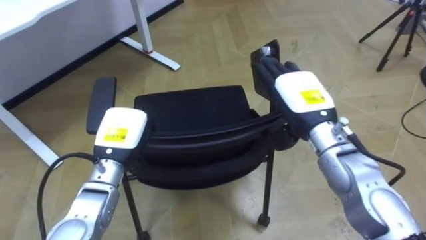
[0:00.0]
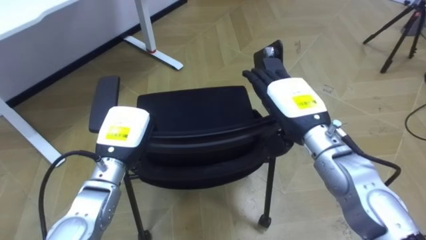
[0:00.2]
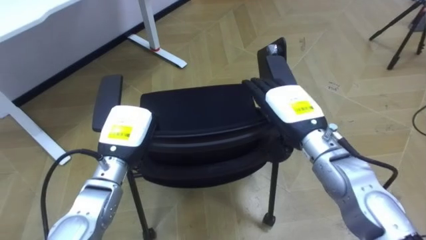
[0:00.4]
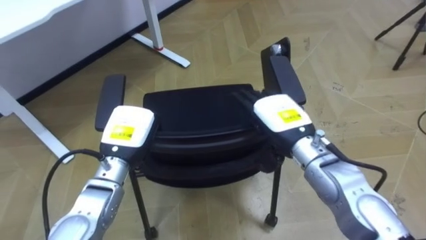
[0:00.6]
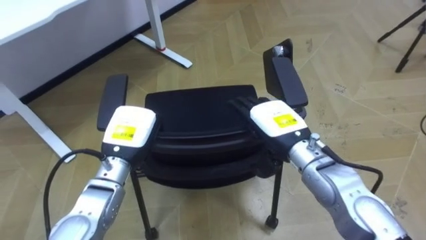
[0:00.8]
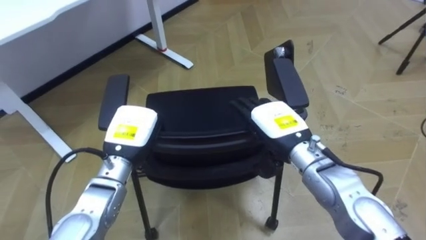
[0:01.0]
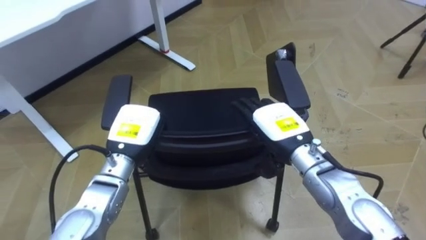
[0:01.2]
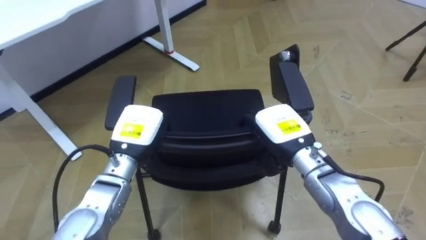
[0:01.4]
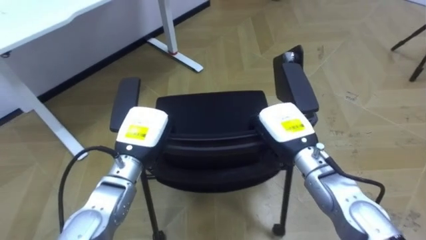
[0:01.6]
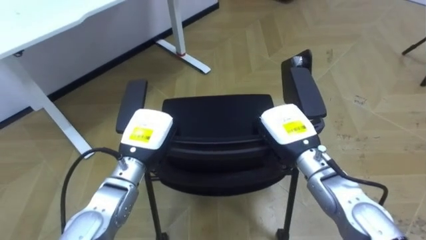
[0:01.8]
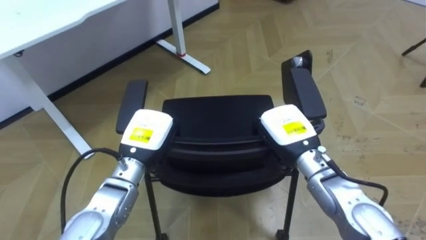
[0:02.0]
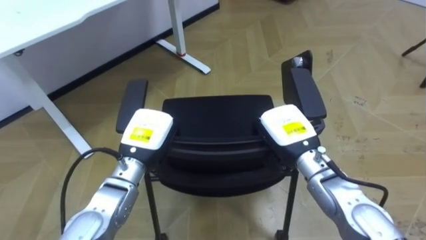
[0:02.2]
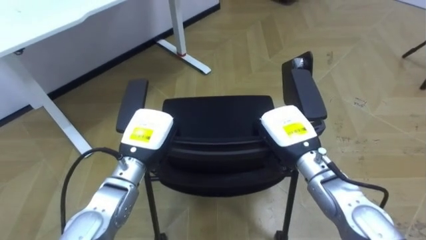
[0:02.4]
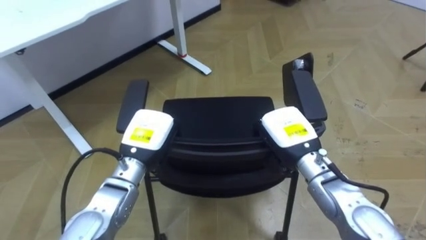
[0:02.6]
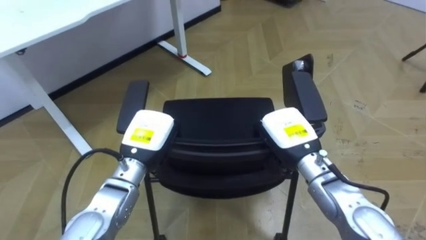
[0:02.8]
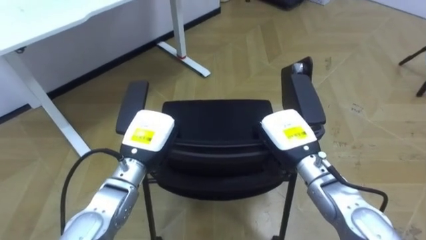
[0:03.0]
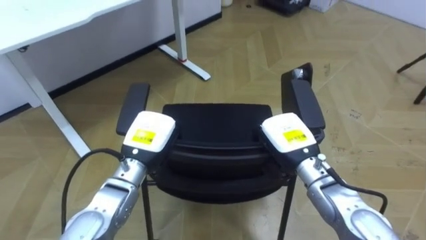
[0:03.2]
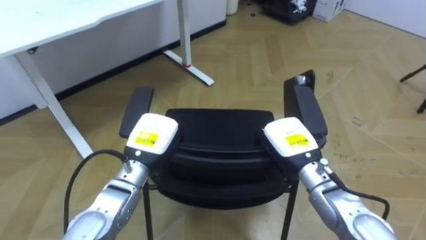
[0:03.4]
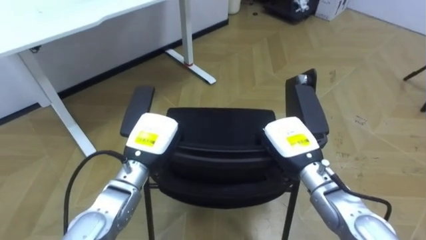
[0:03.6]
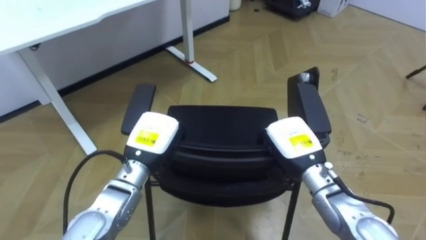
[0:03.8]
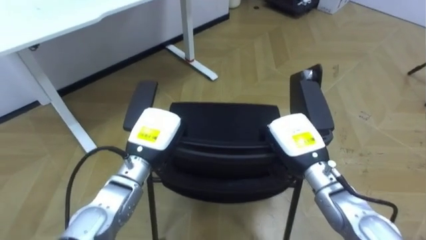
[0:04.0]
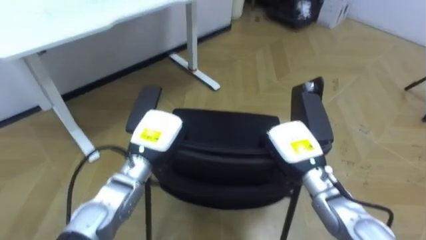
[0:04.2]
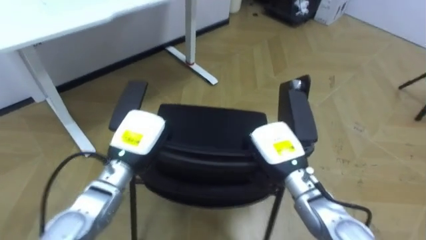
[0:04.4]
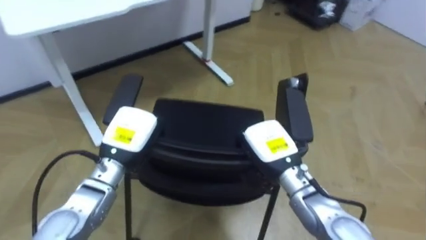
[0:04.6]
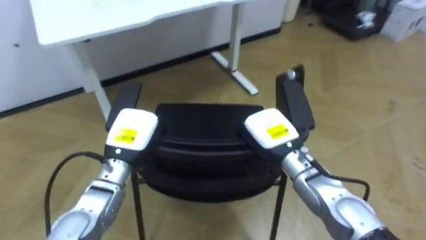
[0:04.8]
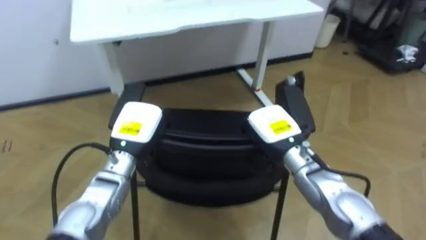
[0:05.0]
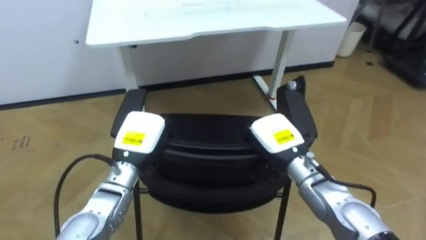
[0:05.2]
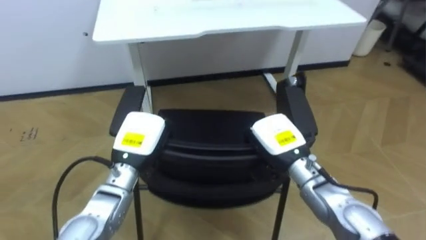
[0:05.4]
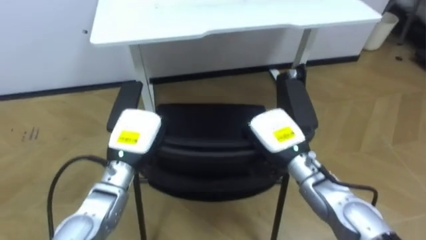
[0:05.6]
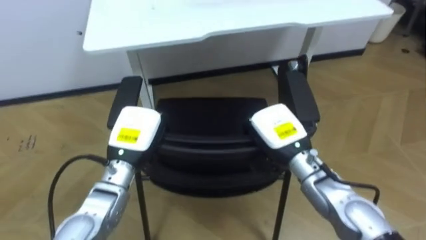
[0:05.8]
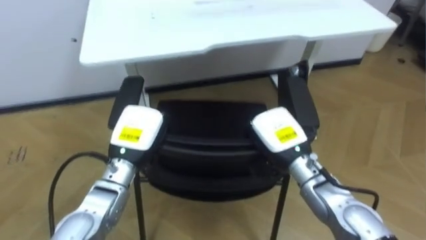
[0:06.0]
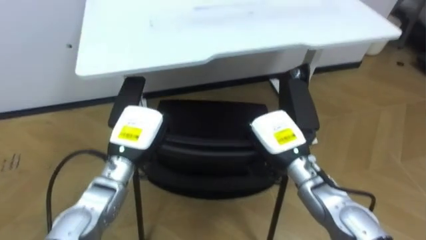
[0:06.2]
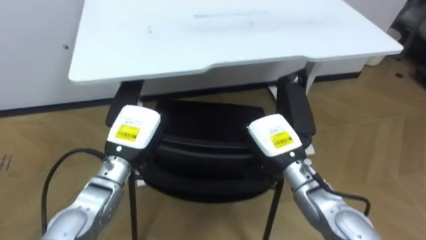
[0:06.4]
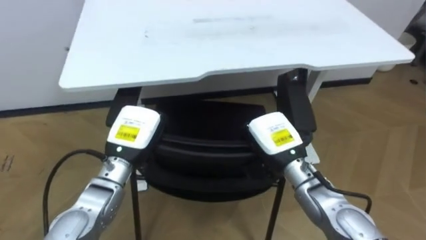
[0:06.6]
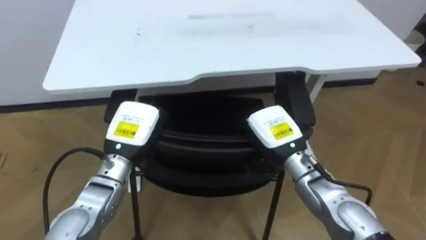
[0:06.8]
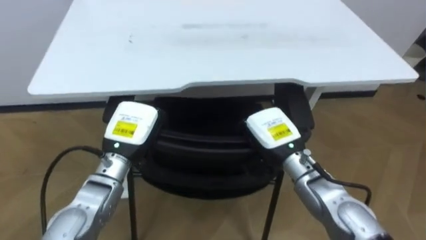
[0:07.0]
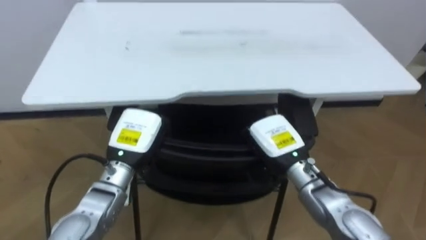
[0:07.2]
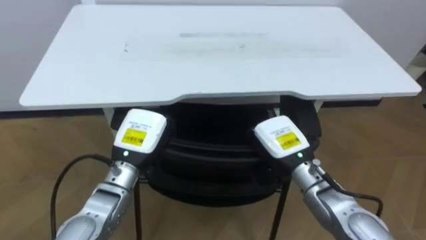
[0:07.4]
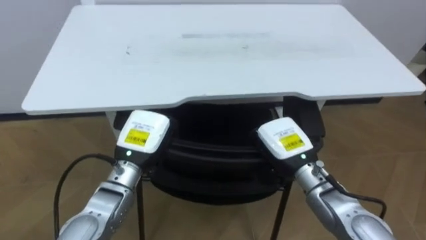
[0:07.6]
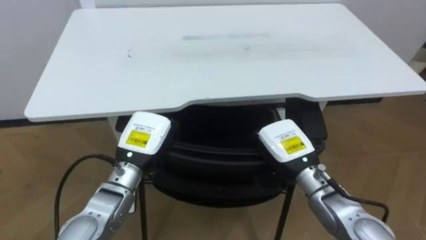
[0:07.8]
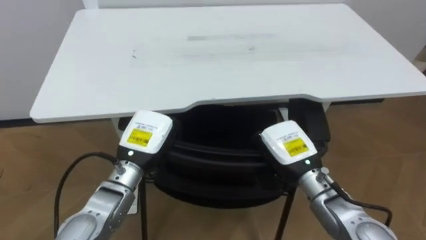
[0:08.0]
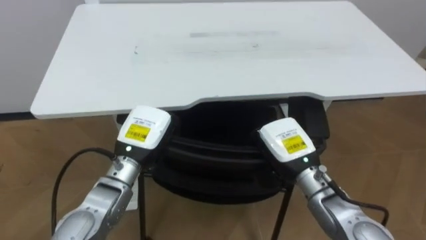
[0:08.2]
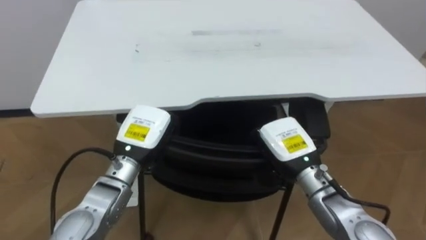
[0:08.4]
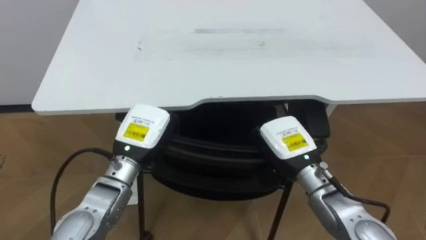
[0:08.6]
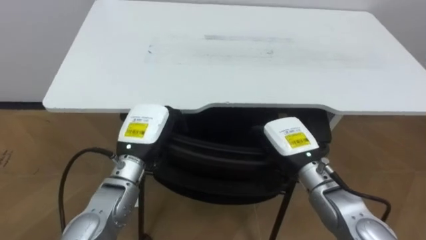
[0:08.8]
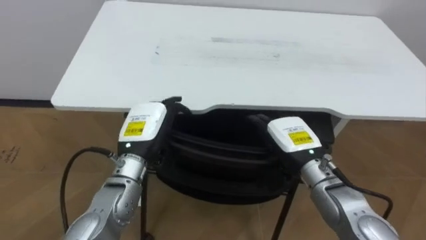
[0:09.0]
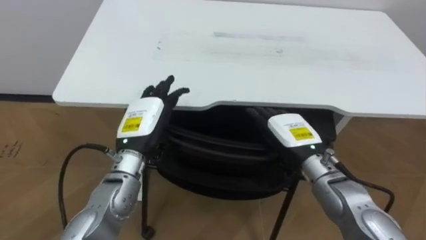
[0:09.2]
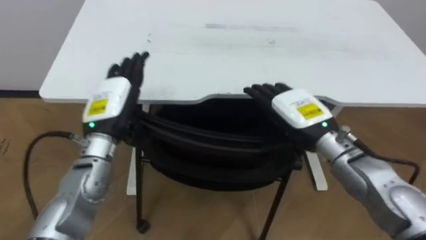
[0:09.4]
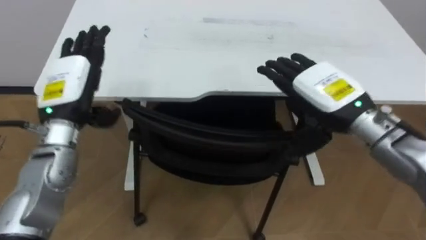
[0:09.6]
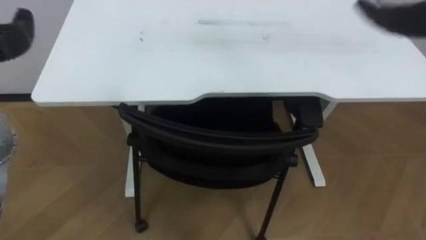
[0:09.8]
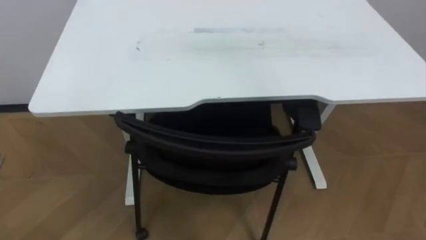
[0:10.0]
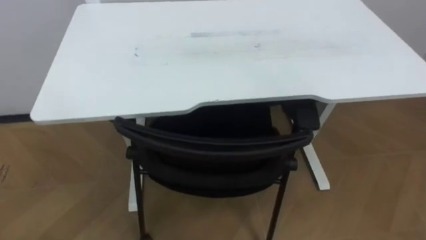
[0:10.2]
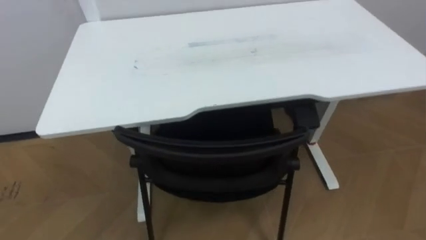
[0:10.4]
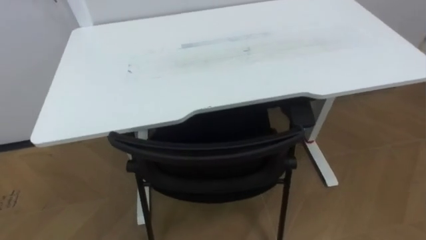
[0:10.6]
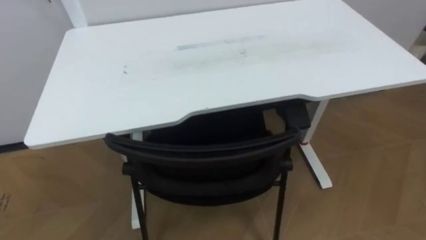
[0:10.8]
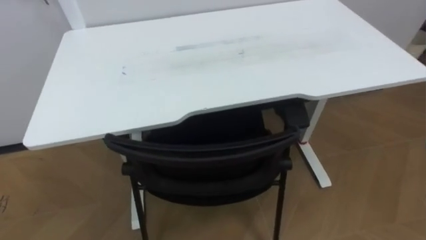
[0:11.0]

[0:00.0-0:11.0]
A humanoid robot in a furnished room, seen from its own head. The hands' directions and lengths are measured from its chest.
Task of the whole recording: Push the chair under the table.
0:00.0 to 0:01.6: The right hand heads downward, covering about 5 cm, and closes up.
0:07.8 to 0:09.4: The left hand heads upward and to the left, covering approximately 10 cm, and opens. Meanwhile the right hand is displaced upward by approximately 5 cm, and opens up.

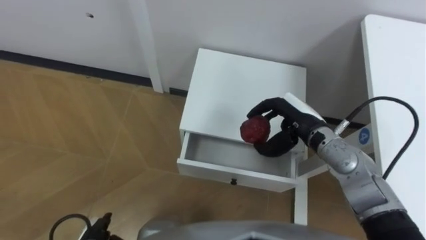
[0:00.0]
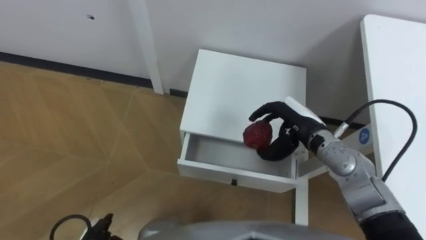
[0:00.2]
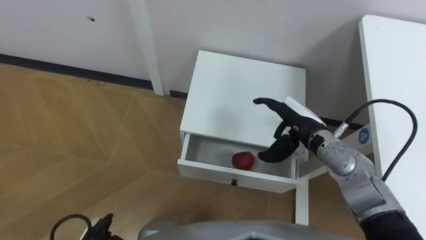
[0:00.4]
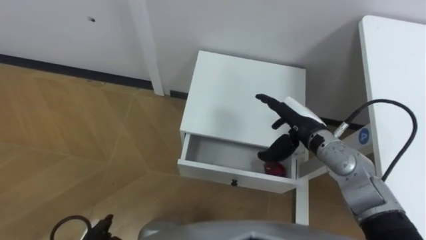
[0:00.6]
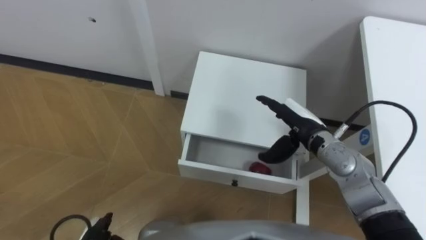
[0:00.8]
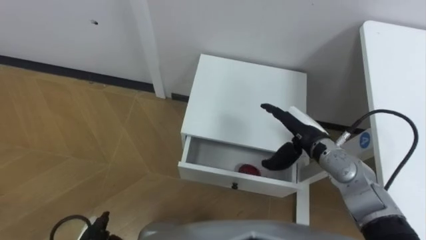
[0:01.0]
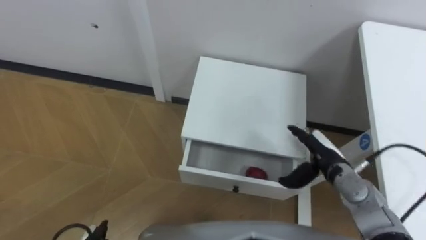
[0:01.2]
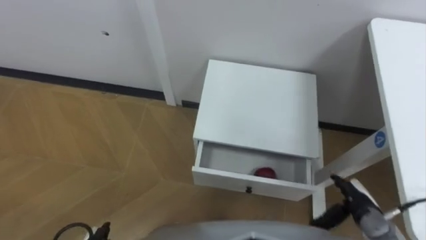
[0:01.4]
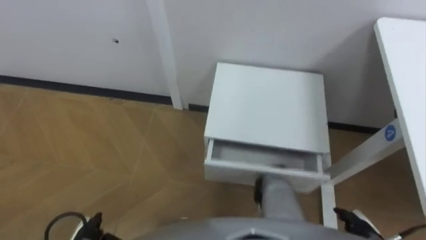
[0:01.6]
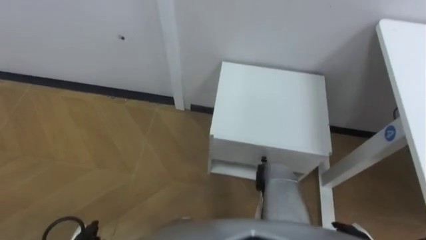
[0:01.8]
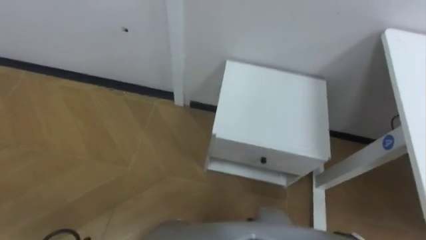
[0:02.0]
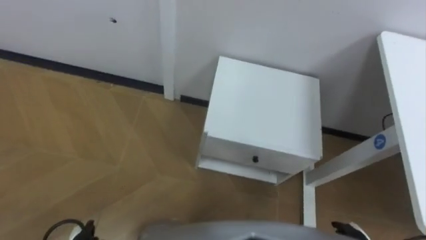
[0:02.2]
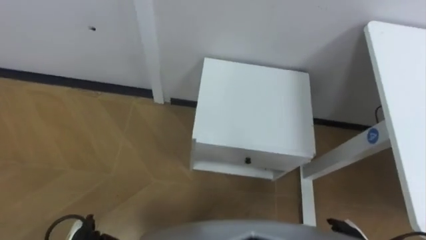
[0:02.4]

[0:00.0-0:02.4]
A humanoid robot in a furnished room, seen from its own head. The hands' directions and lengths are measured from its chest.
Task of the whole recording: Pick up the apple from the table, put it in the drawer, and close the drawer with leg.
0:00.0 to 0:01.2: The right hand is displaced downward, to the right and backward by about 10 cm, and opens its fingers.

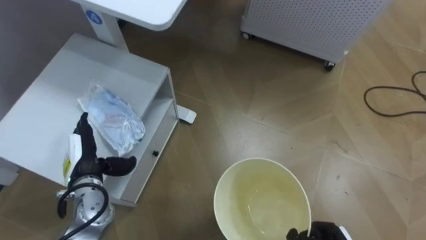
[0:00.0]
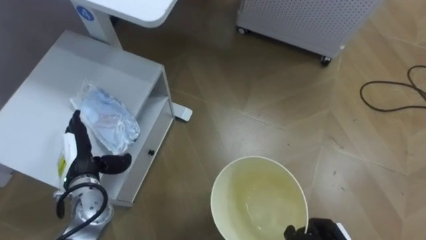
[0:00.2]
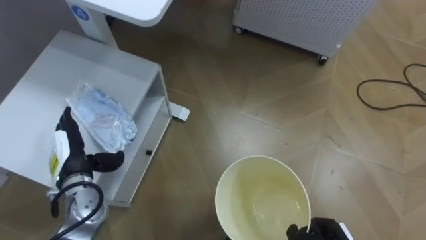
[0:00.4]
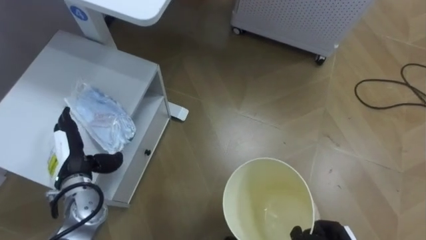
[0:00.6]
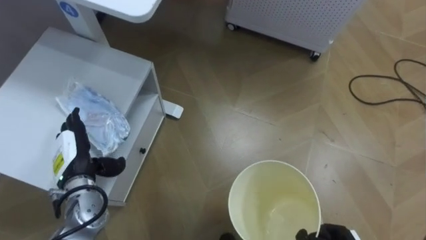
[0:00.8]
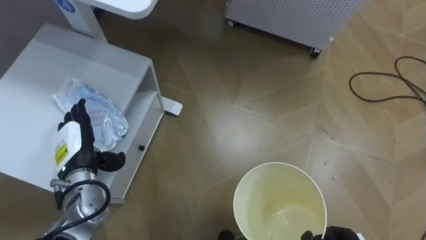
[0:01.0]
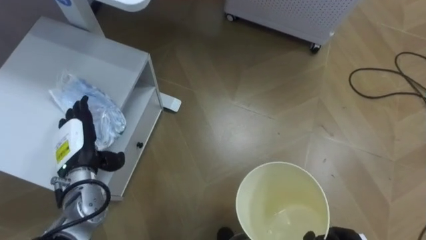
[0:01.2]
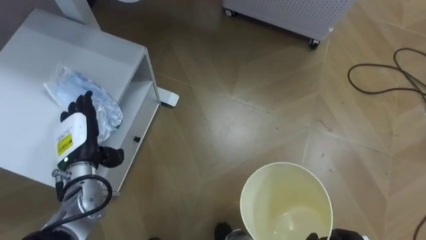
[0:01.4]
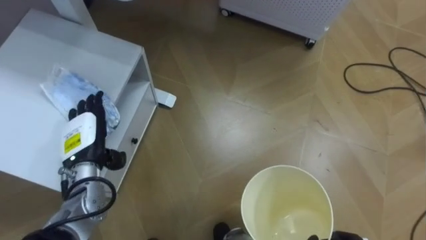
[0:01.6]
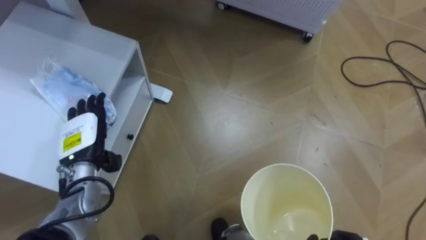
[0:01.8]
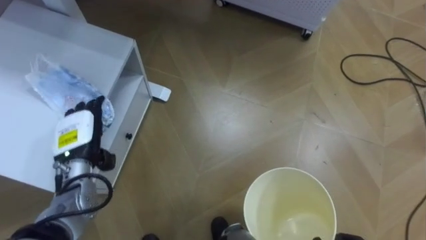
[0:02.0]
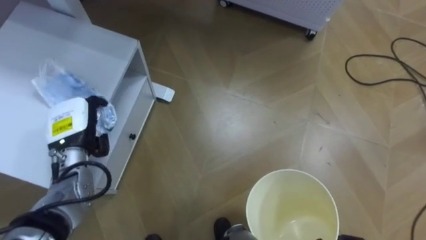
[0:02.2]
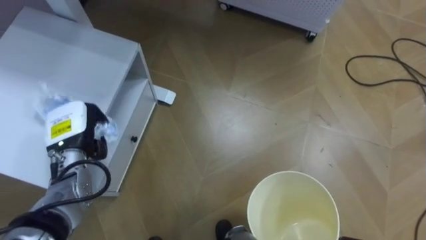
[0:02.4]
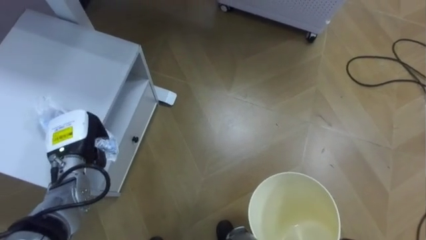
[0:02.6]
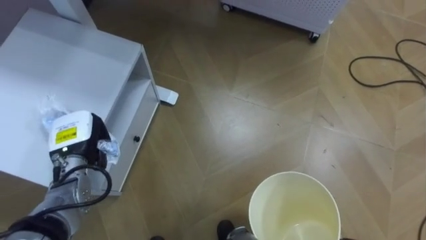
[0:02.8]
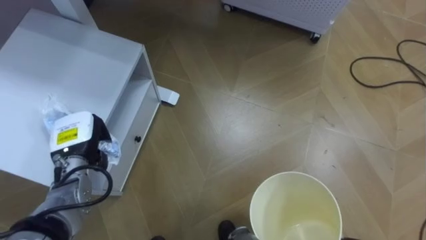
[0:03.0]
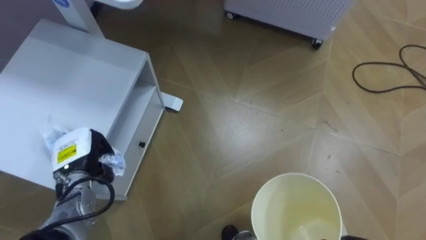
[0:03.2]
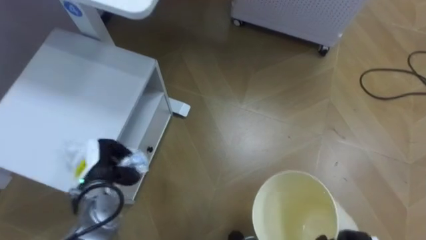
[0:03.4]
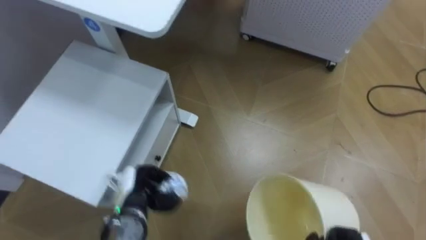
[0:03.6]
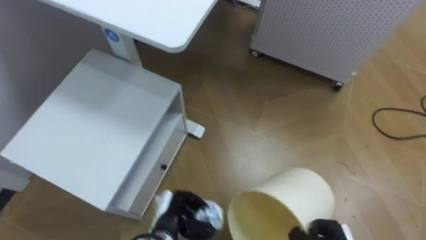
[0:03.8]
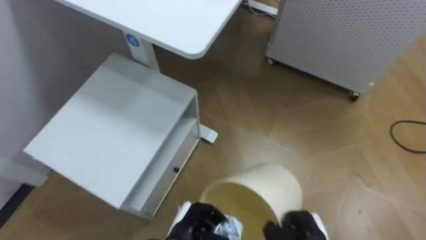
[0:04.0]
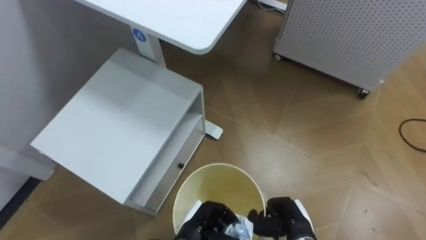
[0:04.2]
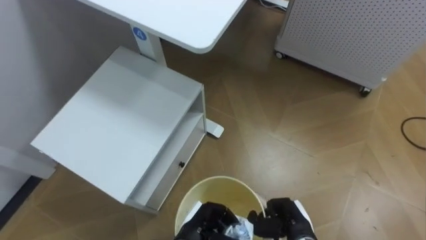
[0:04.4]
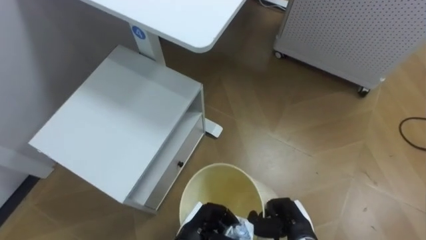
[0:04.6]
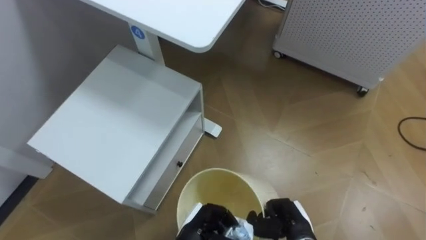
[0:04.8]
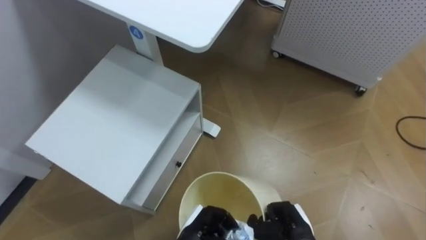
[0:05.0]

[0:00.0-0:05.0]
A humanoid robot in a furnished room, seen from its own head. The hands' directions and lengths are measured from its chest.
Task of the whole recording: Pick up the light blue package, the candy box, and the dark blue package separately, and put them into the trash can held in your right hand.
0:01.6 to 0:03.4: The left hand heads downward, covering roughly 5 cm, and closes up.
0:03.4 to 0:05.0: The left hand travels to the right, backward and downward by about 25 cm.
